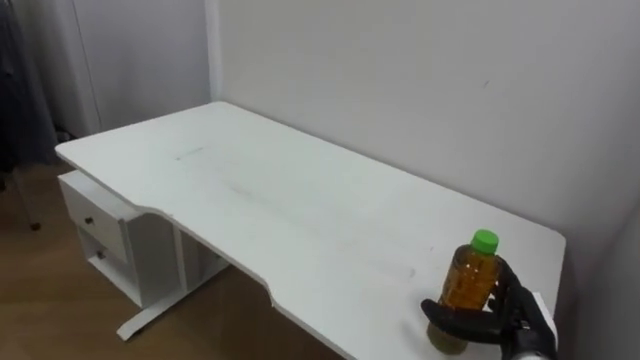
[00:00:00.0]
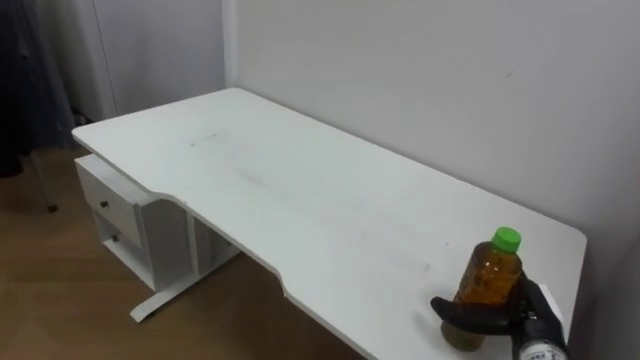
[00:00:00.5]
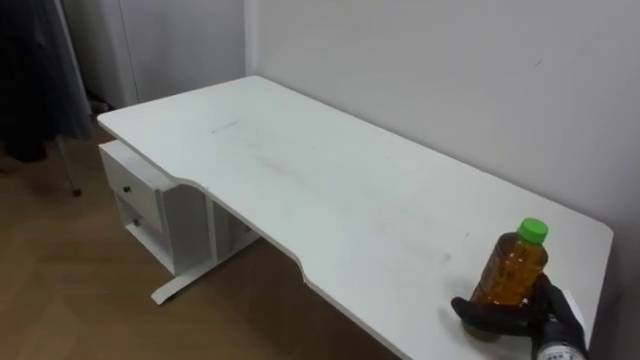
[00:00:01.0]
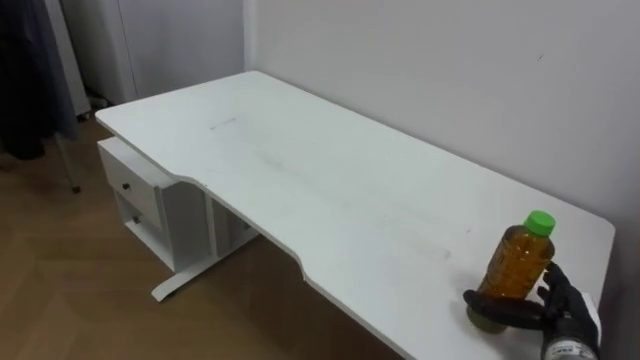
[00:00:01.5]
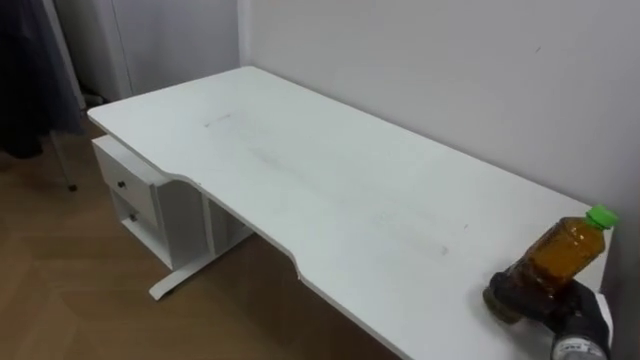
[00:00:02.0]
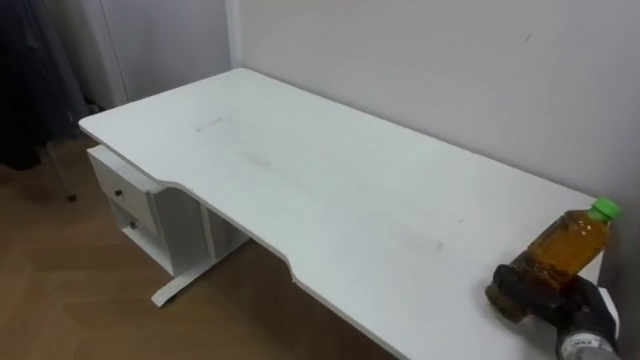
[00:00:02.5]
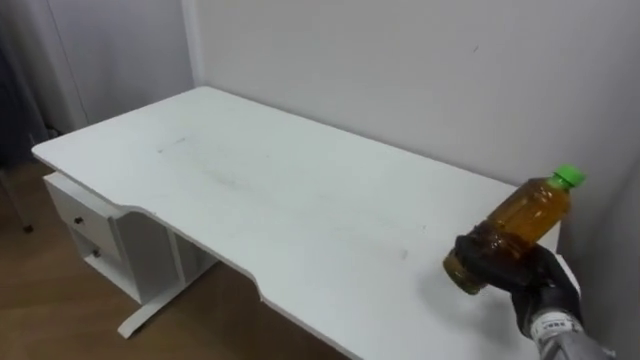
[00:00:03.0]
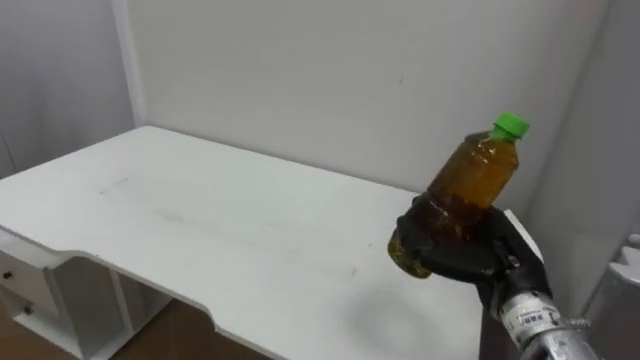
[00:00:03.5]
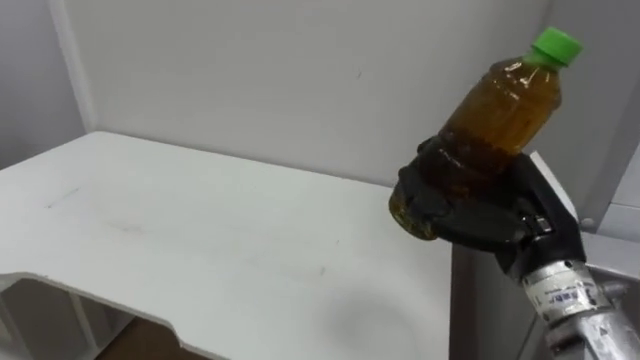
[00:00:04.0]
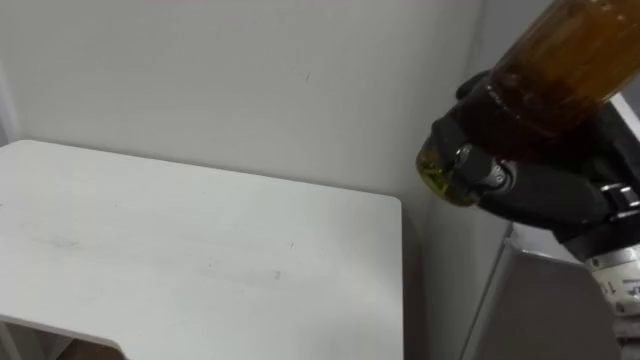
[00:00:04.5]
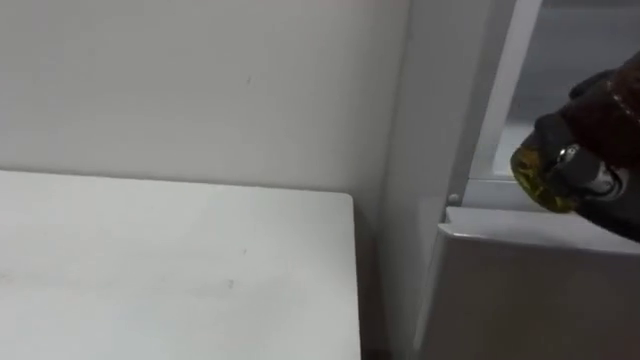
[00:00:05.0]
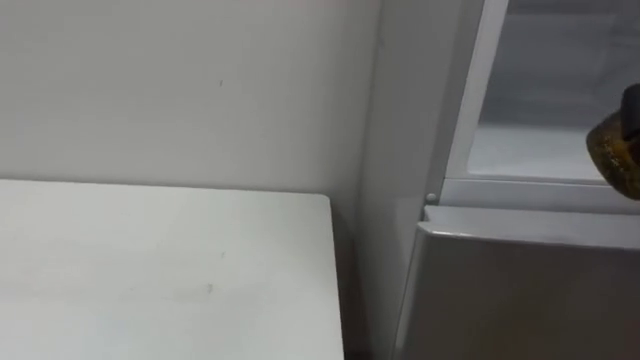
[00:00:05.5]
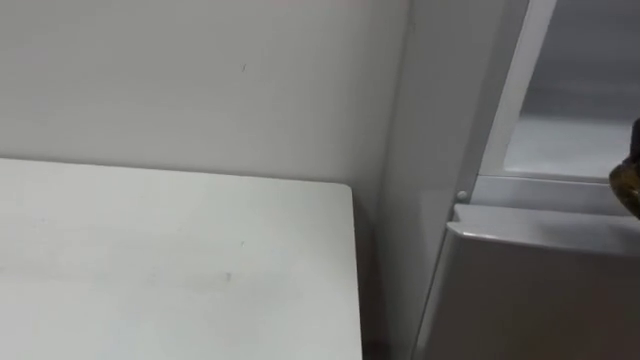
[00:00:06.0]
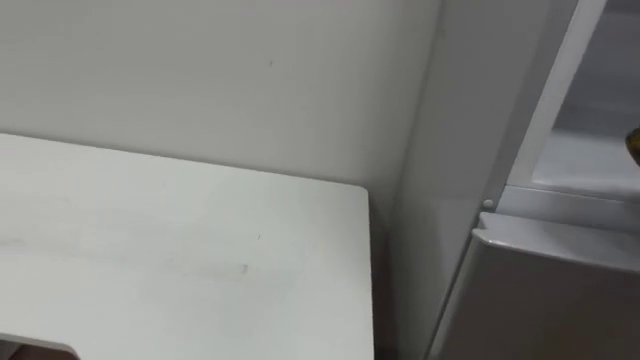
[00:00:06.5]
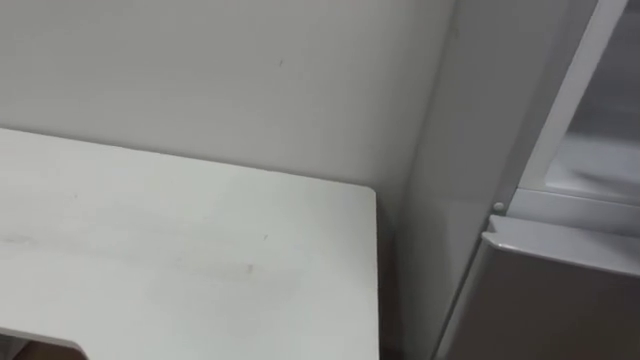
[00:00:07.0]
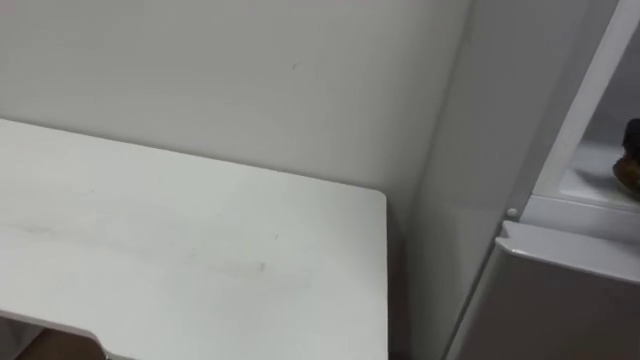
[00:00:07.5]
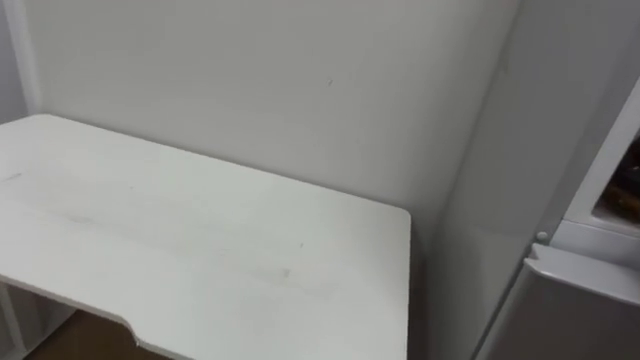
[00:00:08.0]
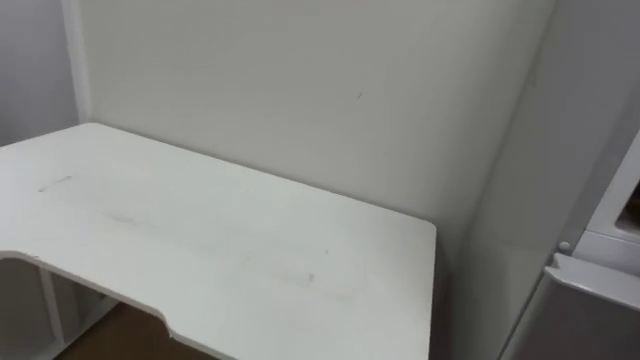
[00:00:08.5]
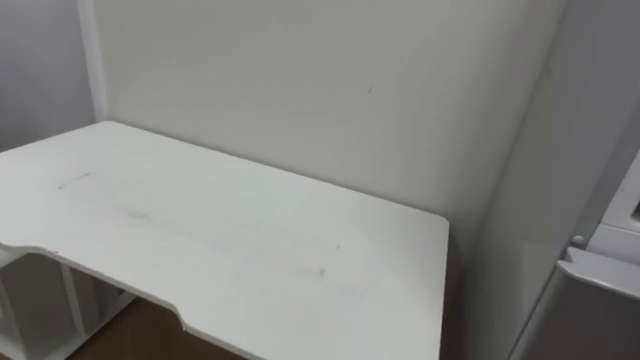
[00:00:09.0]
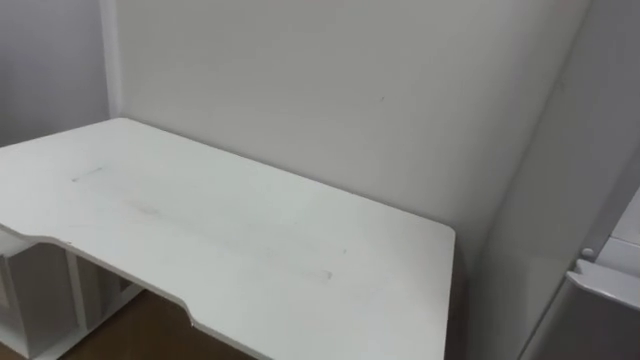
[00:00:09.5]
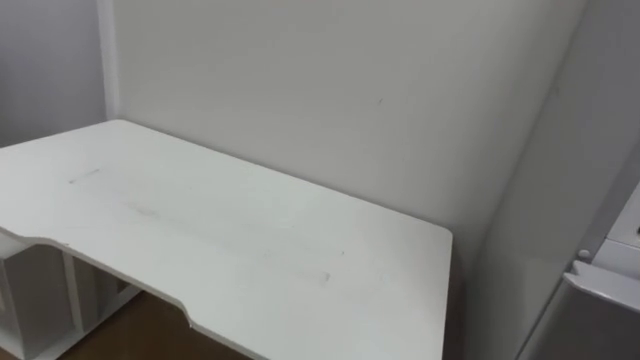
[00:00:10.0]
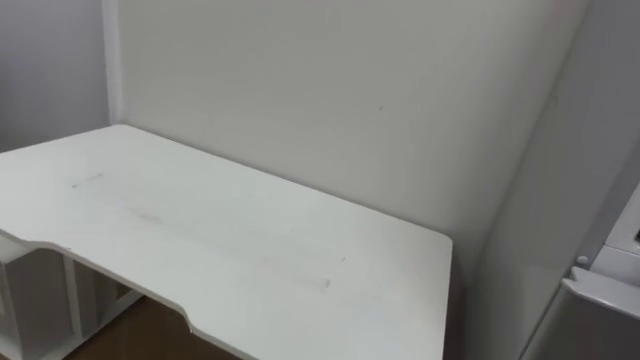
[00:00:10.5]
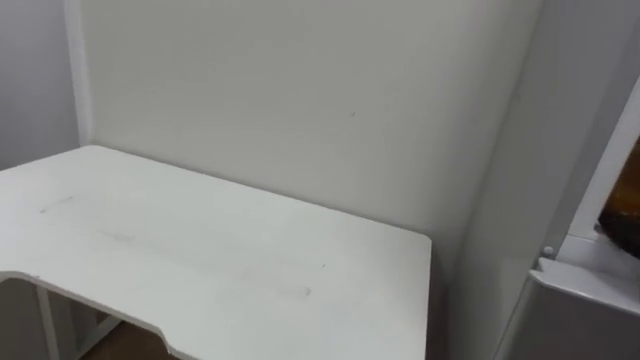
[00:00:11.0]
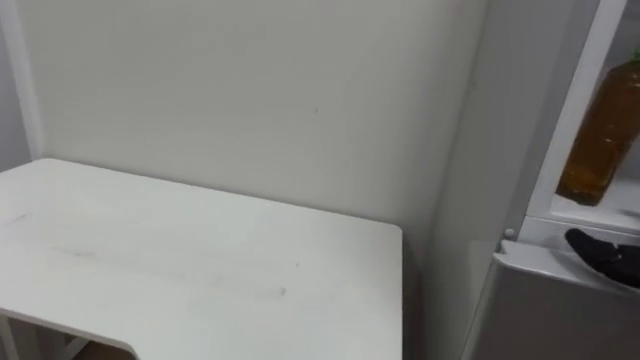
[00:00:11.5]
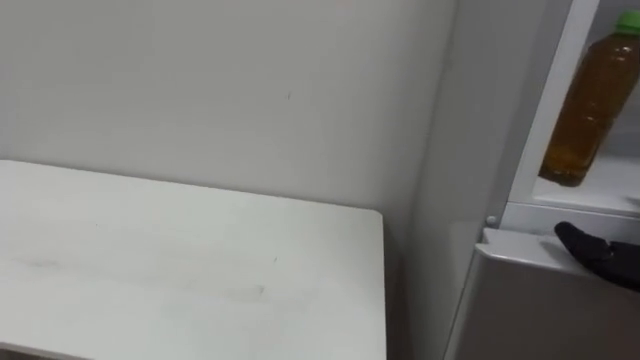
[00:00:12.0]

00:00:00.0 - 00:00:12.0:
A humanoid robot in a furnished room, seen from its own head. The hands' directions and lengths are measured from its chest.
Task of the whole recording: Open the upper refrigerator door, put the drink from the table into the refrigerator, and then close the refrigerator door.
00:00:00.0 - 00:00:02.0: The right hand moves to the right, some 5 cm, and closes.
00:00:02.0 - 00:00:04.0: The right hand shifts roughly 25 cm upward and to the left.

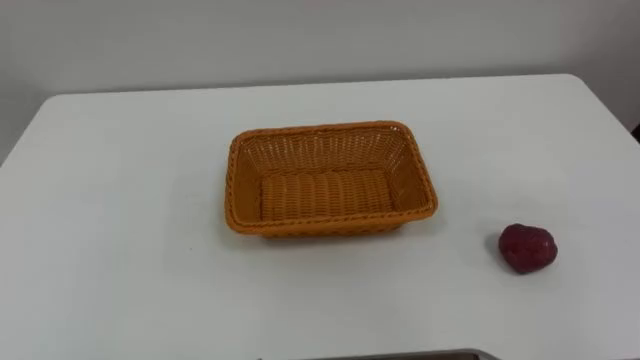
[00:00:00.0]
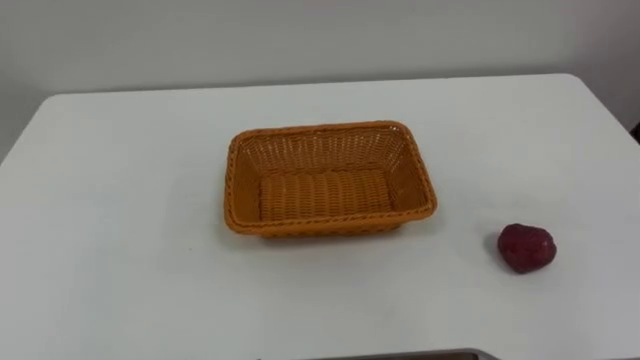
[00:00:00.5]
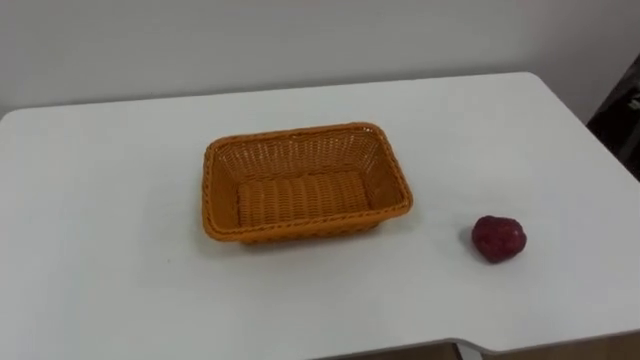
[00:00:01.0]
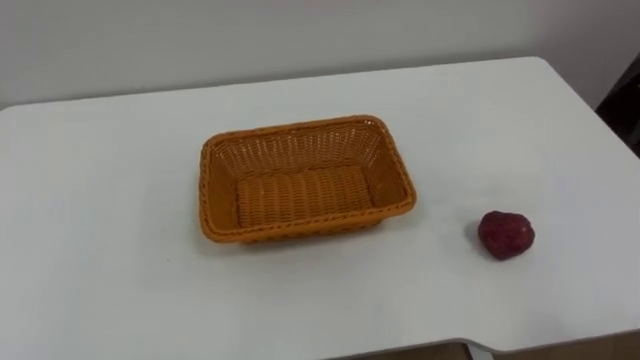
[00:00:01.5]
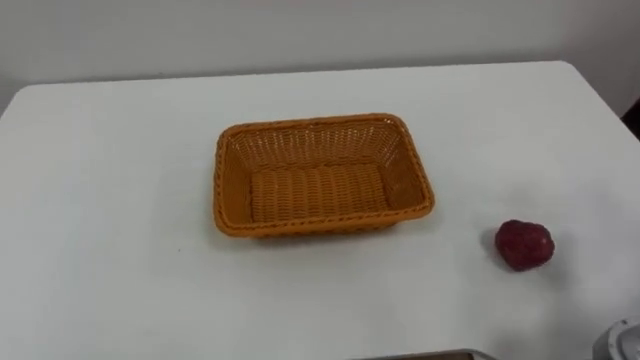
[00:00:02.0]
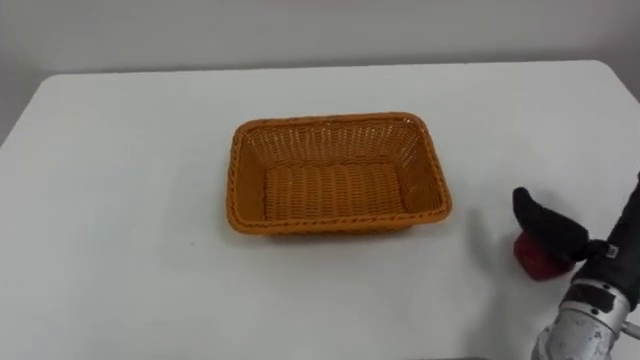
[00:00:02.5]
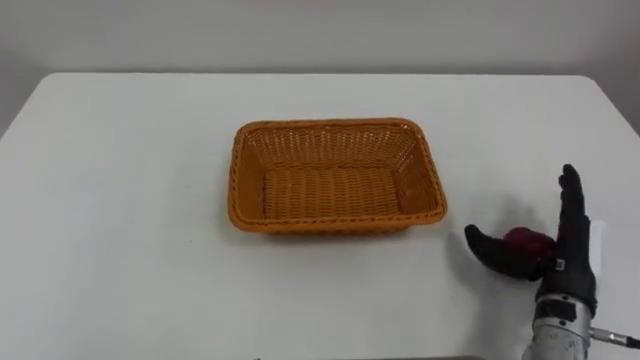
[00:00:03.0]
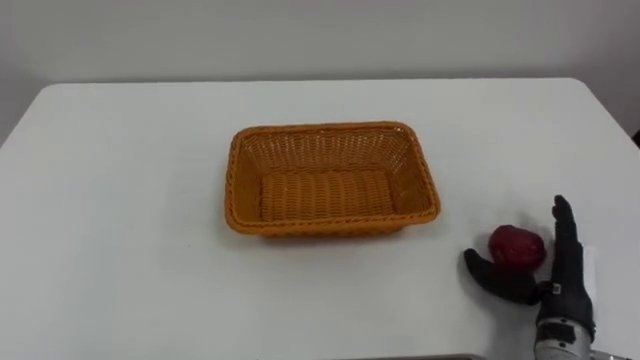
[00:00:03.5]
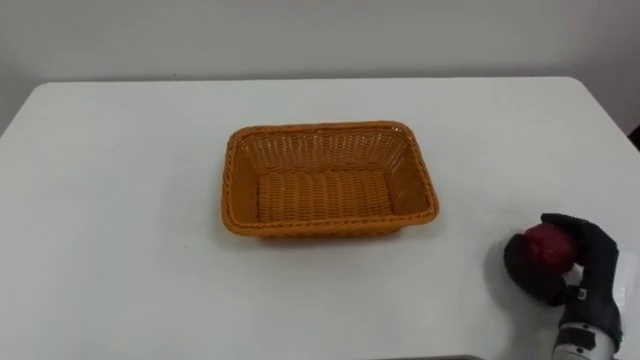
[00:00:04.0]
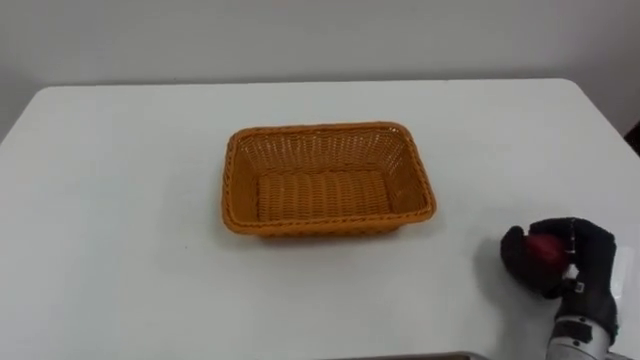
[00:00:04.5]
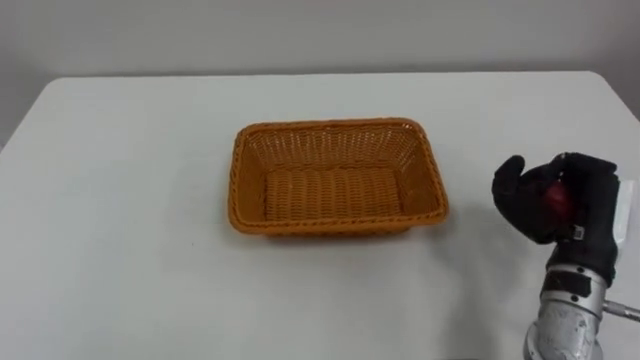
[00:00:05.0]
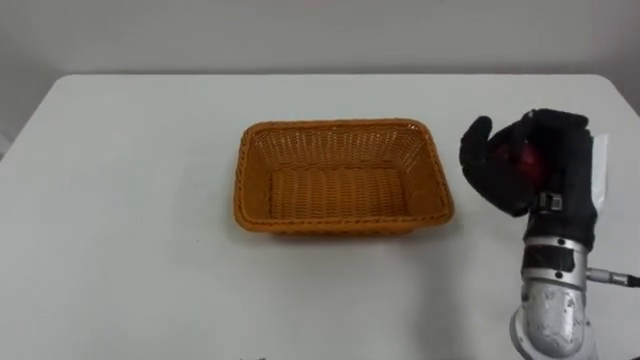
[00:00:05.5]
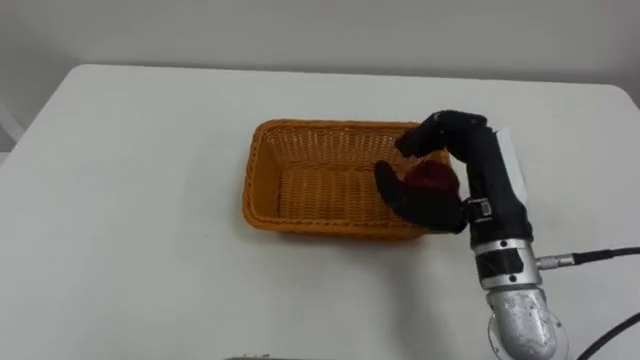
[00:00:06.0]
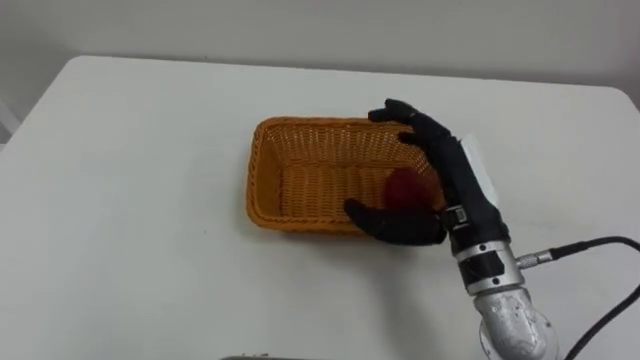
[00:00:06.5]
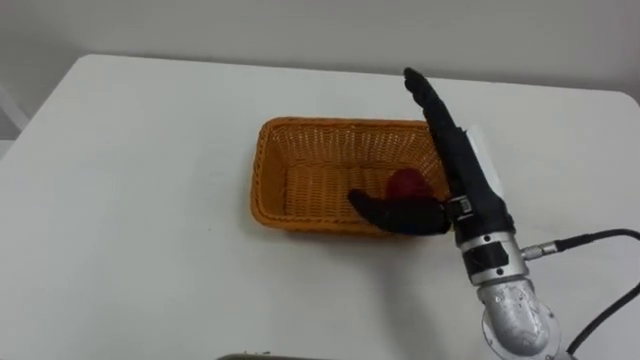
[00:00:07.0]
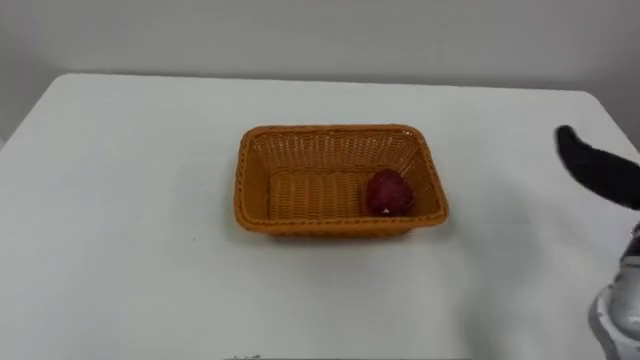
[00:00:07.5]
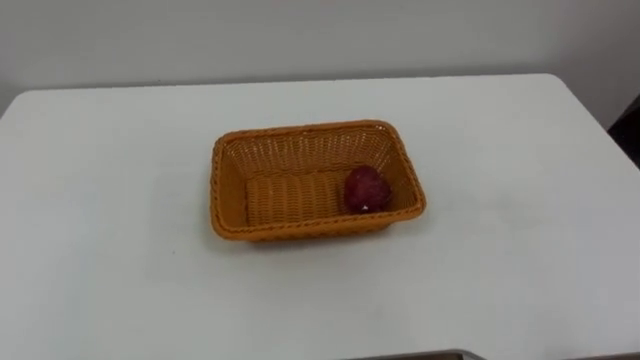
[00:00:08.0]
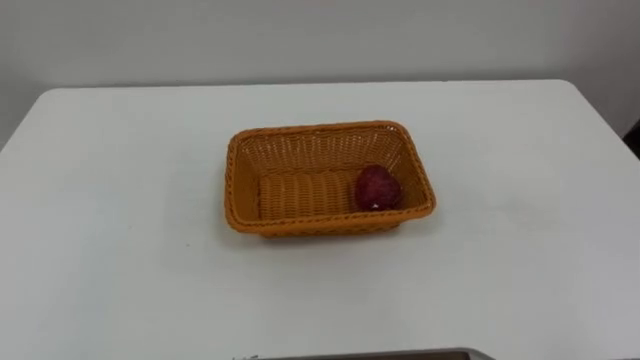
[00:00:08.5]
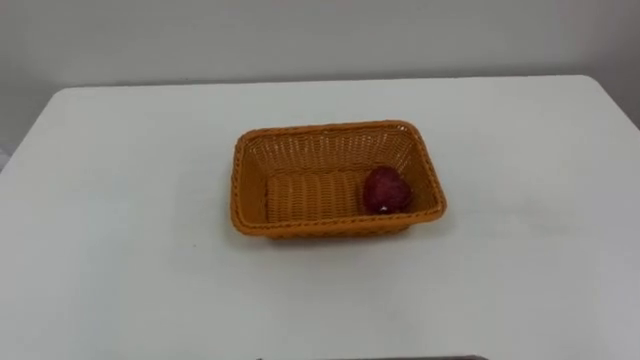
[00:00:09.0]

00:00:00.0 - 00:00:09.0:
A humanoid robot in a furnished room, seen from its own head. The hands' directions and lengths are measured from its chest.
Task of the whole recording: Pick the apple and place it in the box.
00:00:04.5 - 00:00:07.0: The right hand shifts approximately 20 cm to the left, upward and forward, and opens up.
